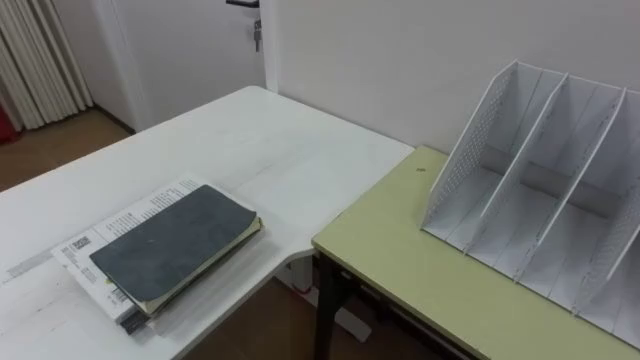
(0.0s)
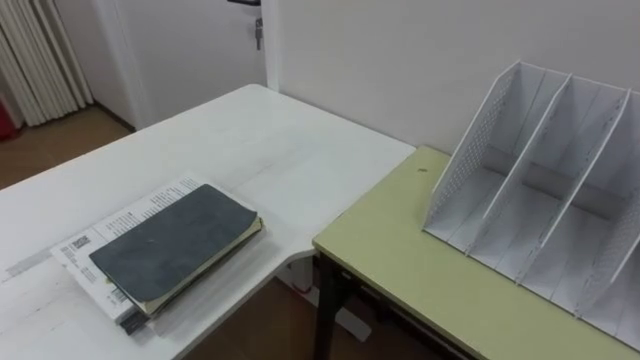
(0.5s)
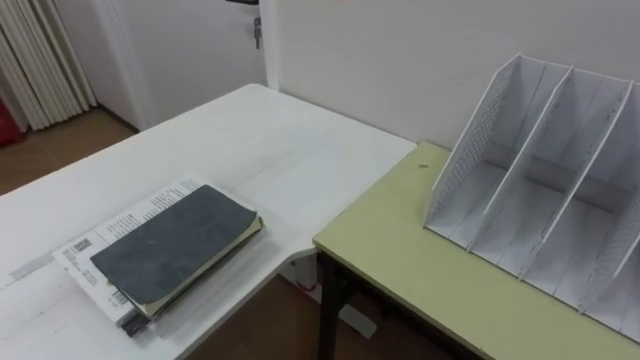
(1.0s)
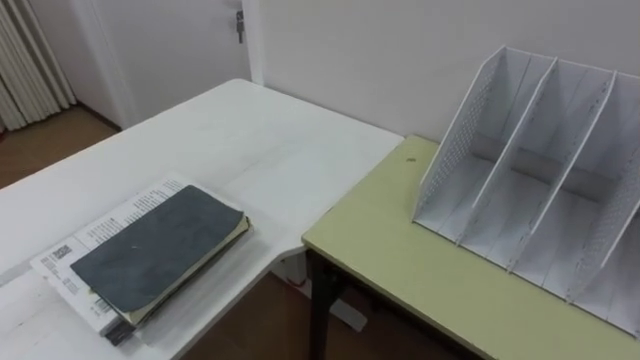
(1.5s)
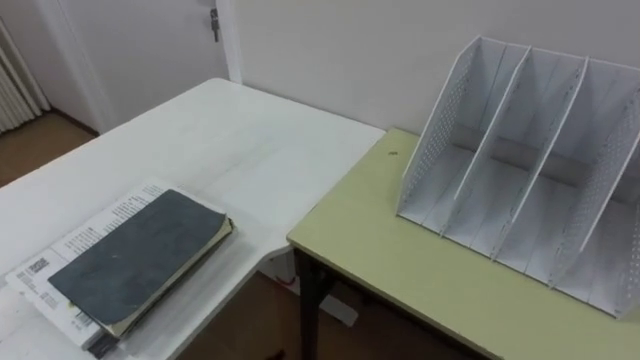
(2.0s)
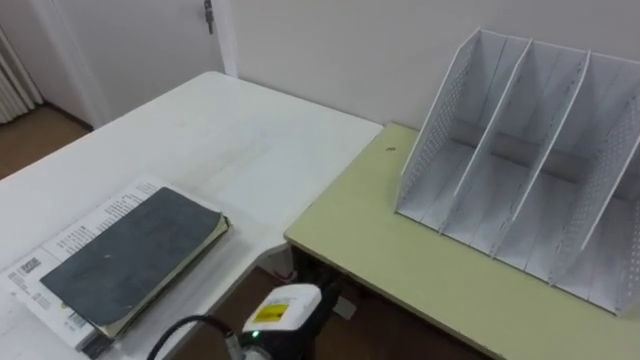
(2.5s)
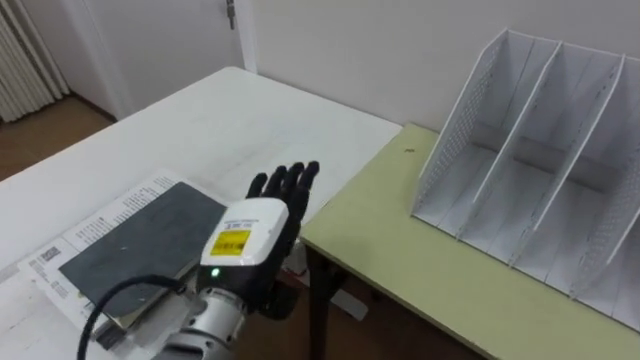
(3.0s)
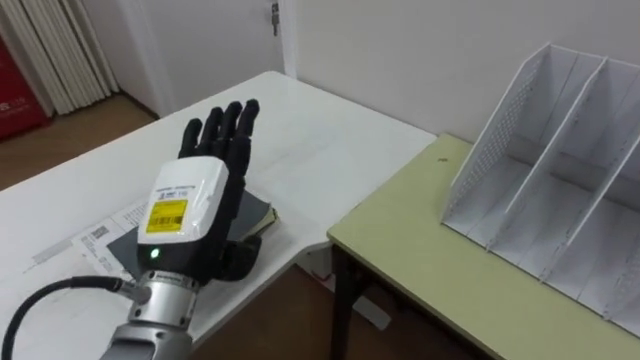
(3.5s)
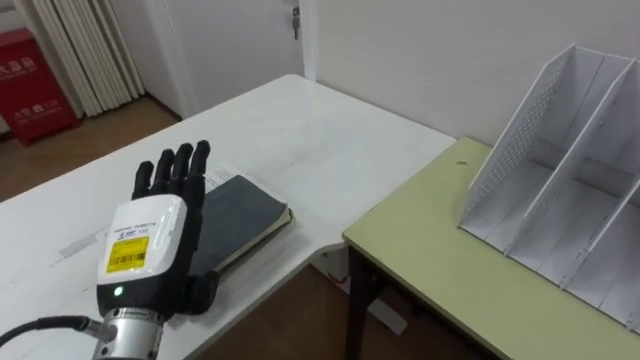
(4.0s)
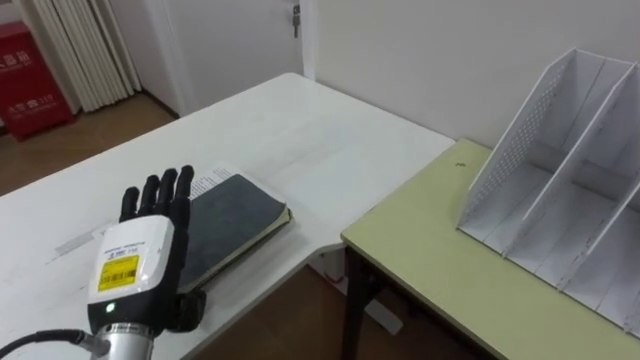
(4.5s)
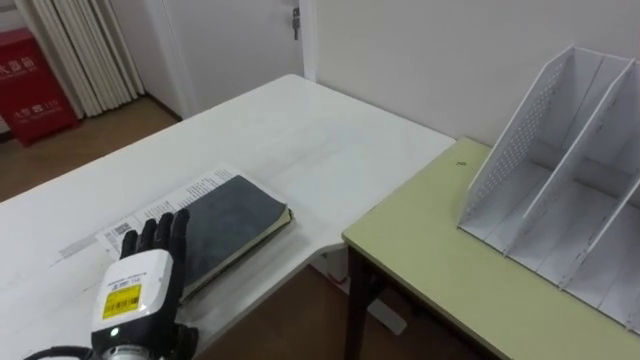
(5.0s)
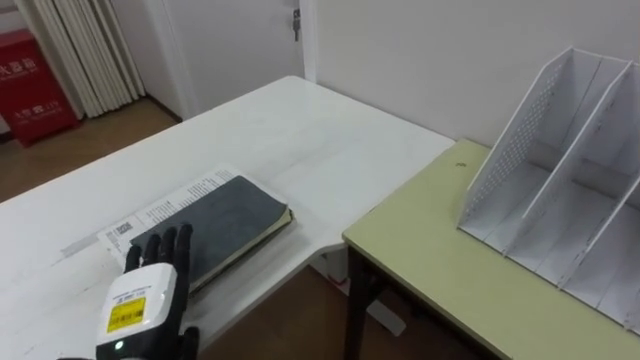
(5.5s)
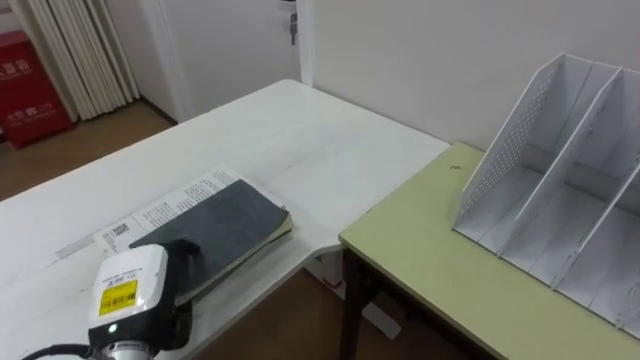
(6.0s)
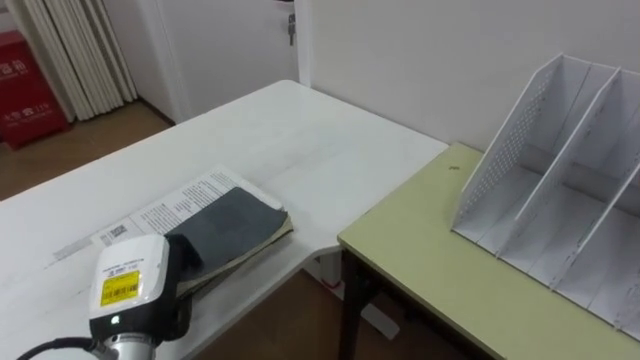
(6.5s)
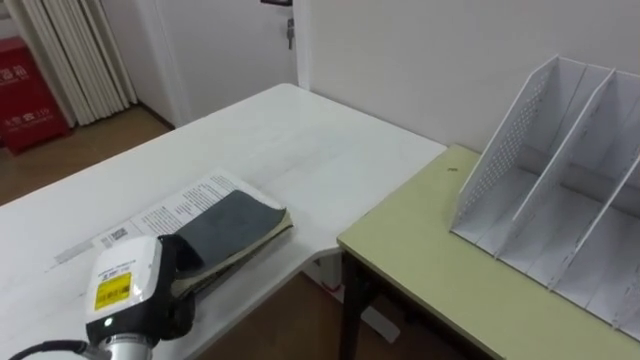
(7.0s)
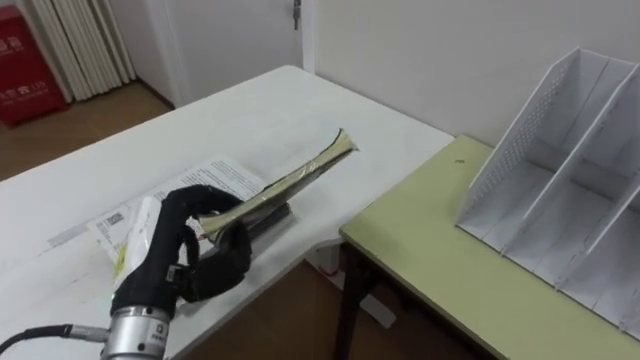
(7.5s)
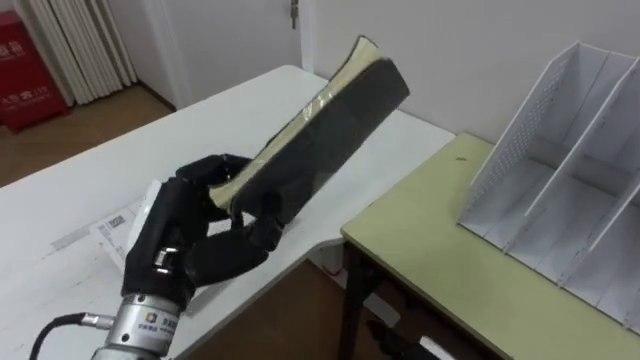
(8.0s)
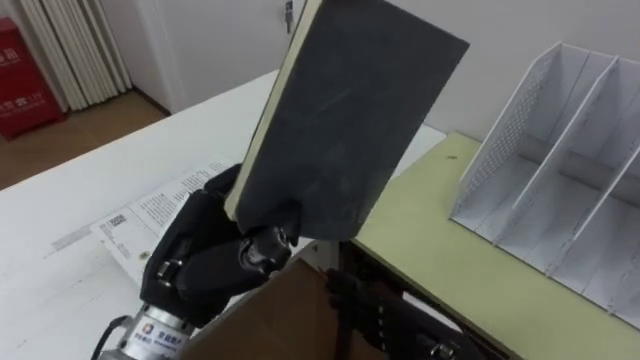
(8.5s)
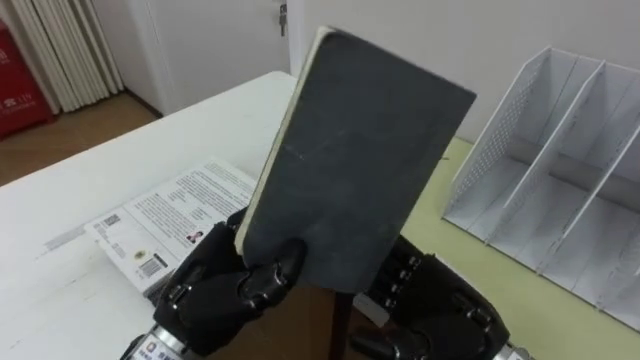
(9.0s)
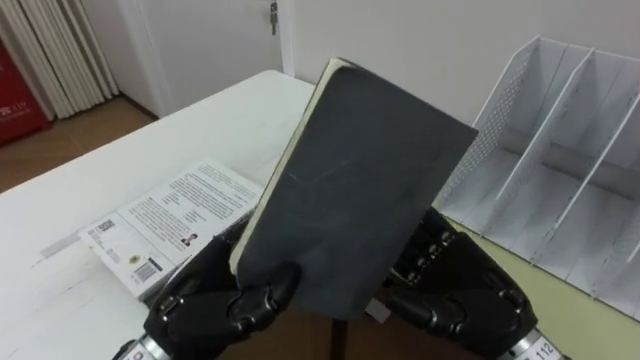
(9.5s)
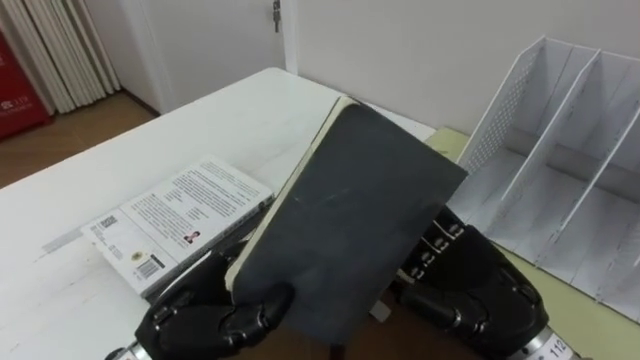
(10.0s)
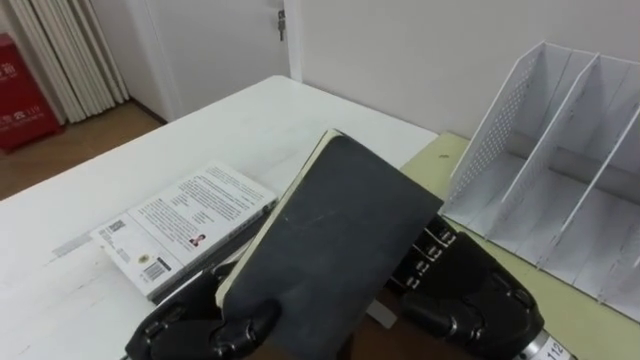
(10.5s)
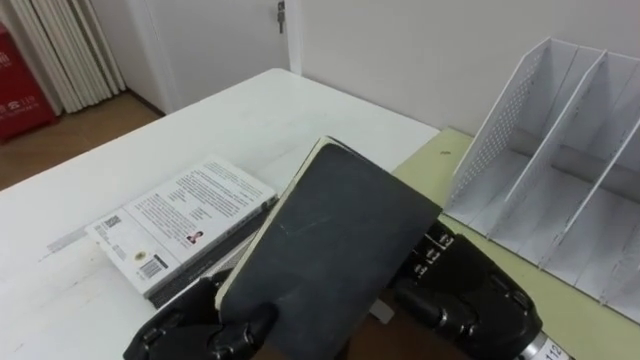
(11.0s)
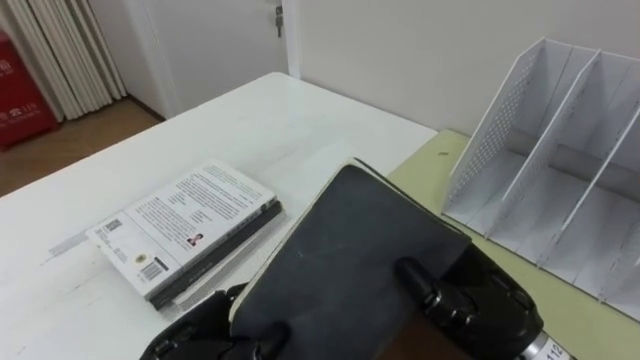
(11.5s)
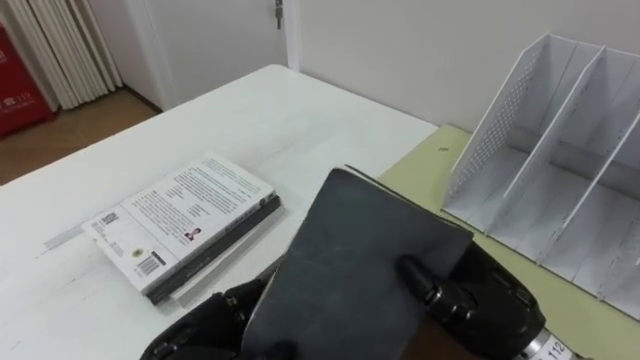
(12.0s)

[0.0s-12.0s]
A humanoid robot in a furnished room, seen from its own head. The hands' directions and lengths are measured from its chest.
Task of the whole recording: Put the books on the table onto the bookshelf.
4.0s to 6.0s: The left hand heads downward, covering approximately 10 cm, and closes its fingers.
6.0s to 8.0s: The left hand goes roughly 10 cm upward and to the right.
8.0s to 10.0s: The left hand moves downward, about 5 cm.
10.0s to 12.0s: The right hand closes.

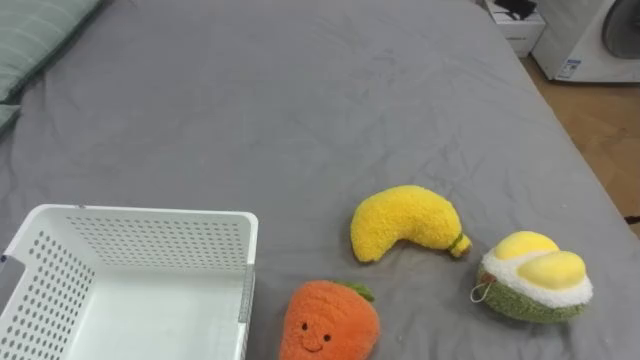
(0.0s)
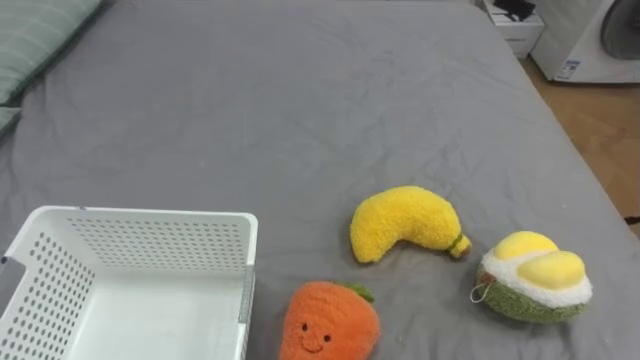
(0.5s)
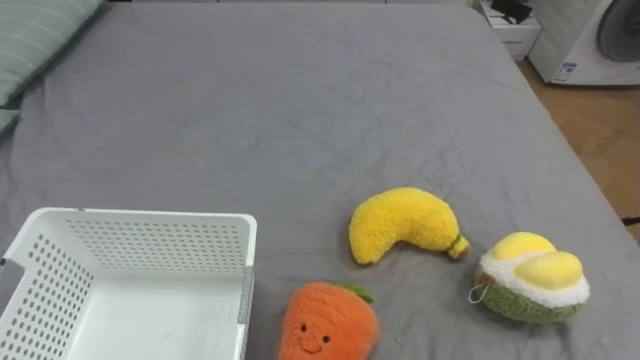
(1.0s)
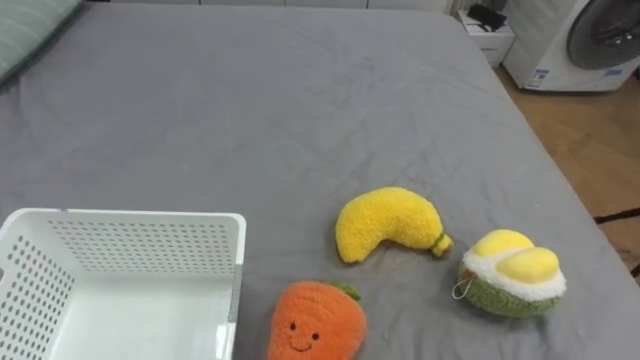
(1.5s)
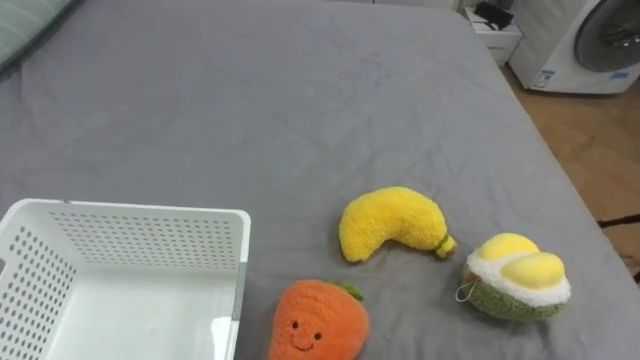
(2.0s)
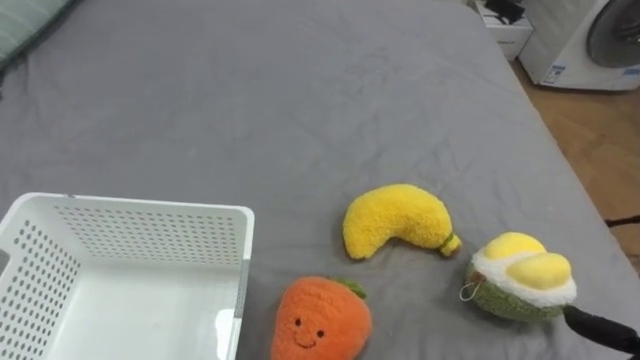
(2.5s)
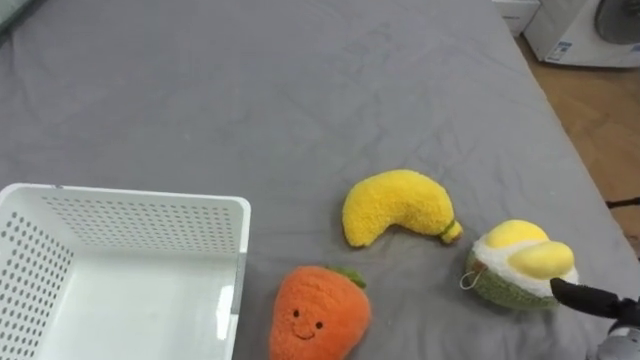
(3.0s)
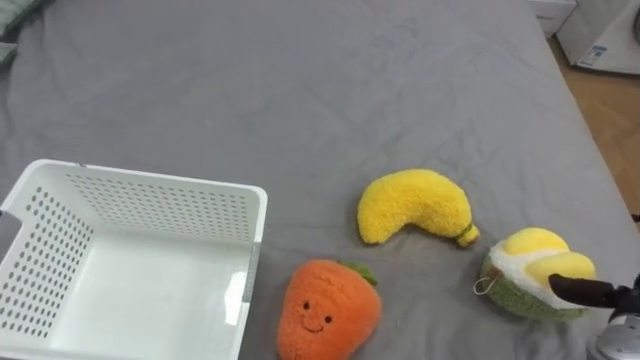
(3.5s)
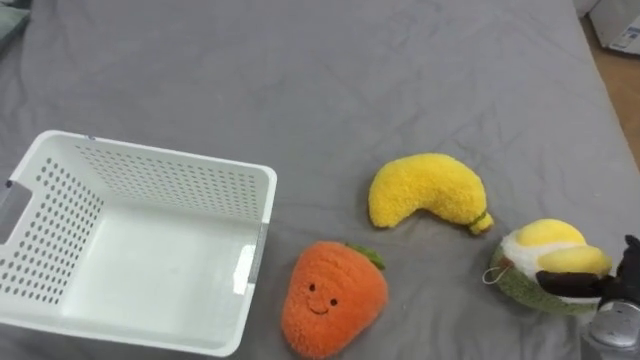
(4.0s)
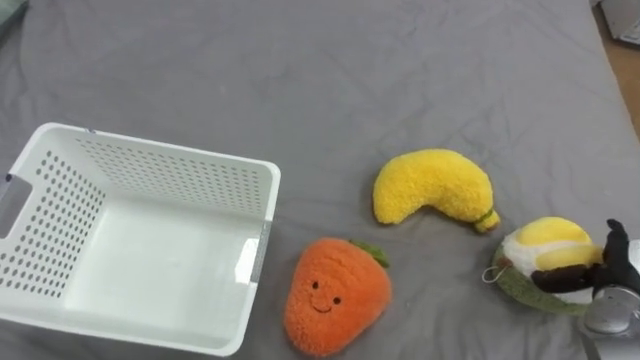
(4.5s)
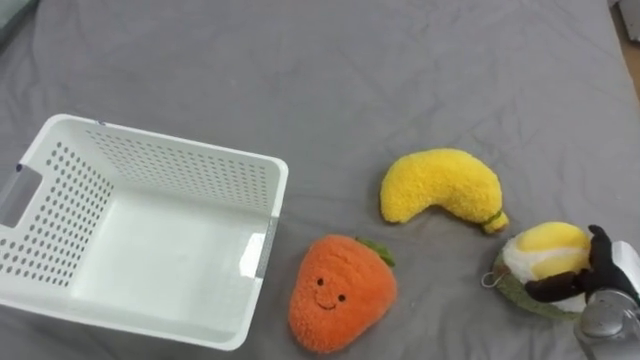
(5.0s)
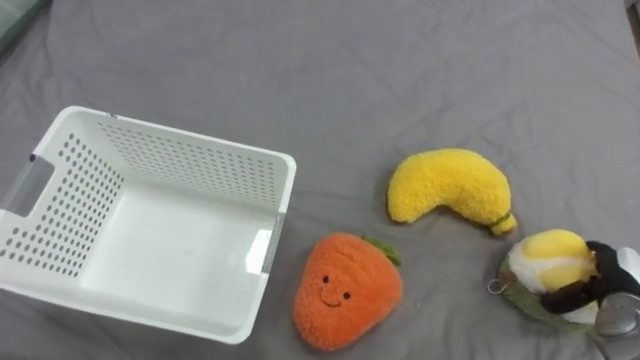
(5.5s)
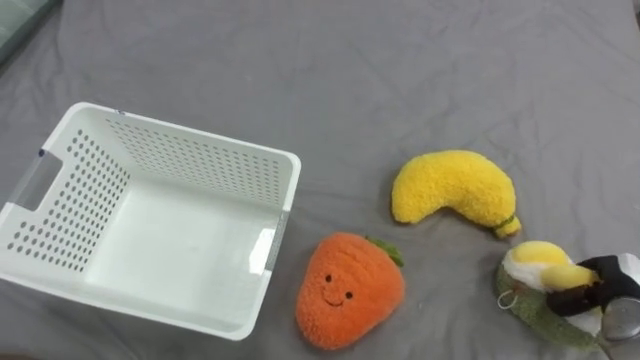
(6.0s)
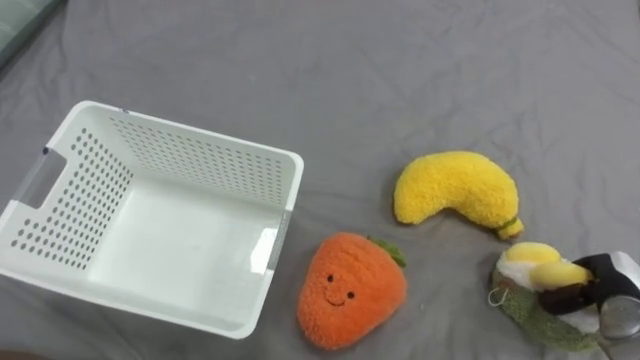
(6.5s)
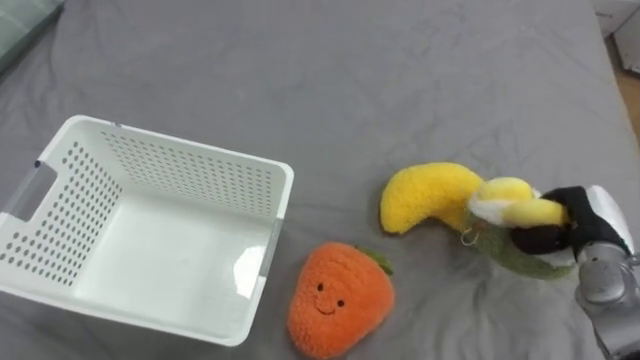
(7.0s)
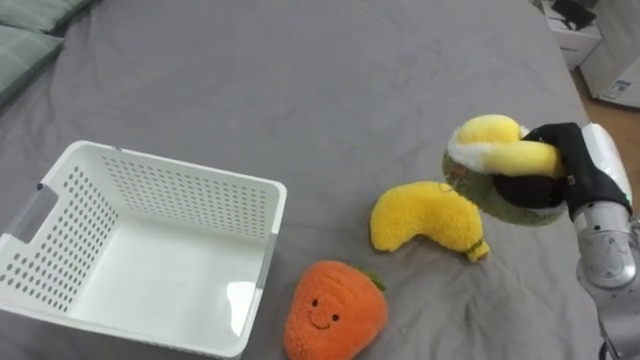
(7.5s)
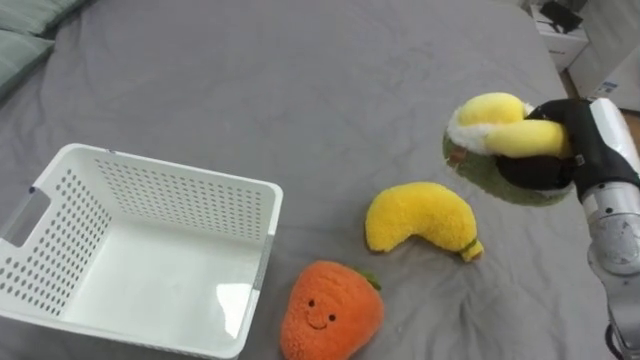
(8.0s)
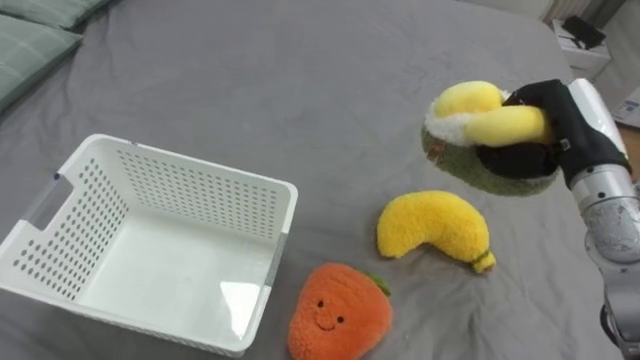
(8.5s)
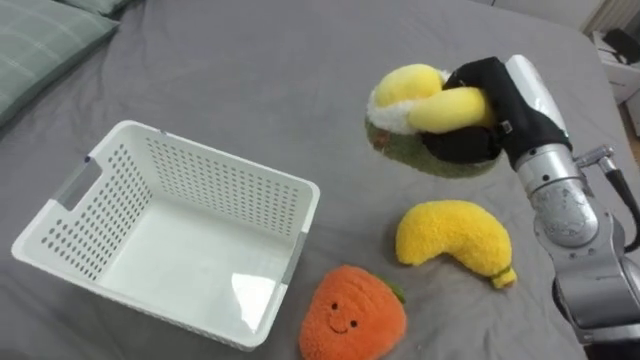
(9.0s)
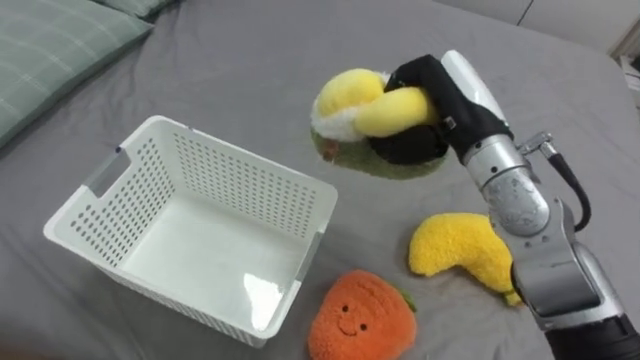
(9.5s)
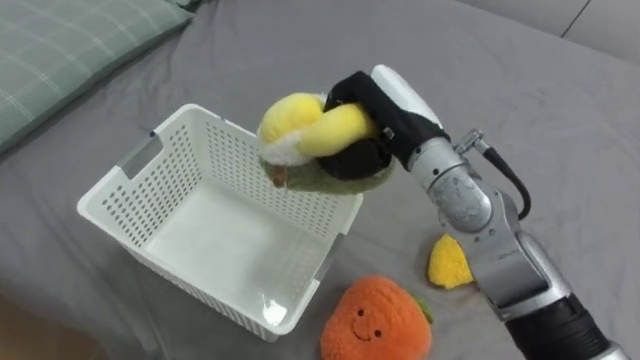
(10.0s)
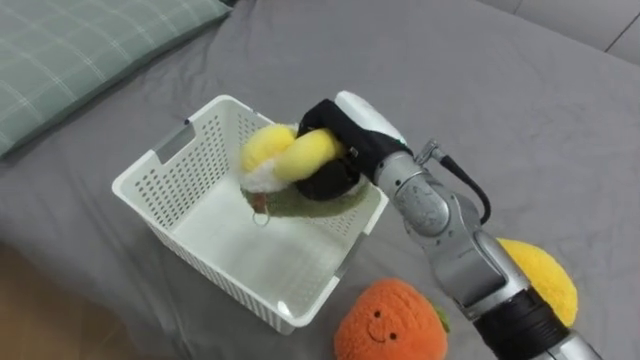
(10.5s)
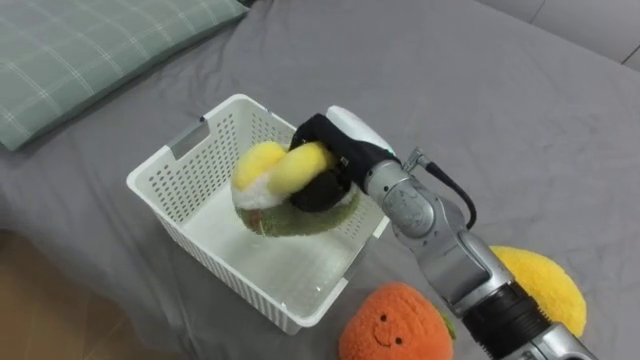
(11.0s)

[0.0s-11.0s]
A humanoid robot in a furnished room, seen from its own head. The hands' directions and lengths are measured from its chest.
Task of the whole recording: Put the toys on the bed into the basket on the left.
5.5s to 7.5s: The right hand moves upward, to the left and forward, roughly 20 cm, and closes.
7.5s to 9.0s: The right hand shifts roughly 15 cm to the left and upward.
9.0s to 11.0s: The right hand travels to the left by some 20 cm.
